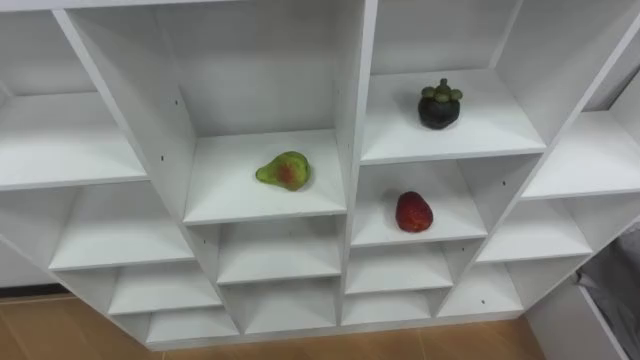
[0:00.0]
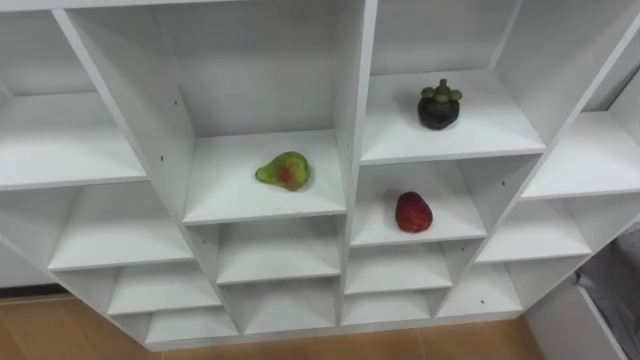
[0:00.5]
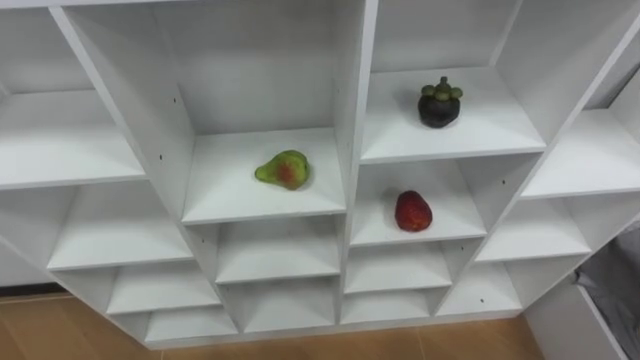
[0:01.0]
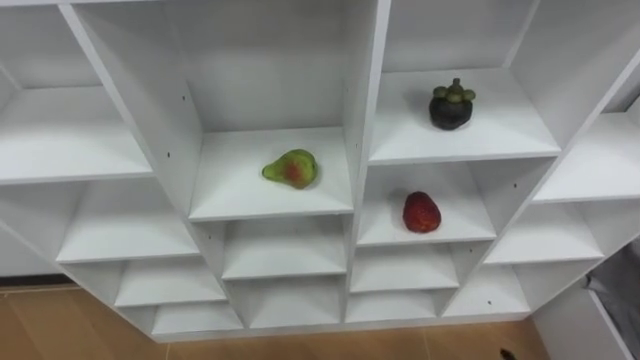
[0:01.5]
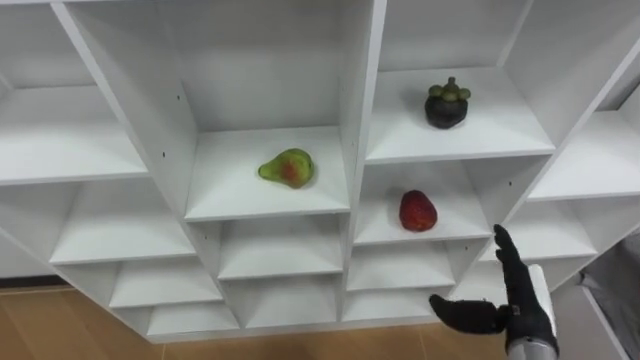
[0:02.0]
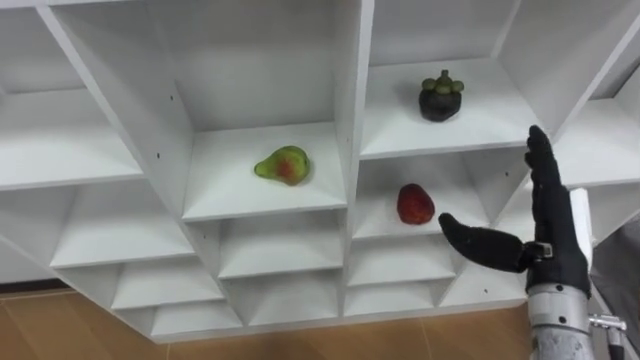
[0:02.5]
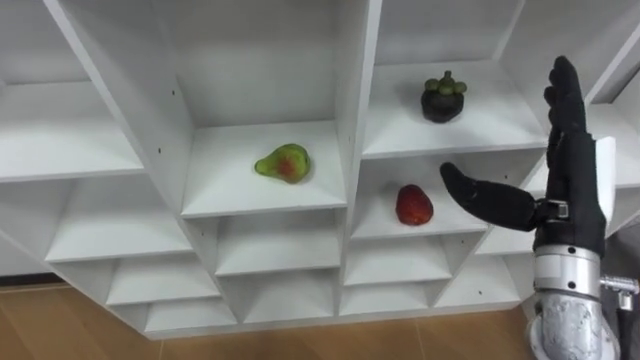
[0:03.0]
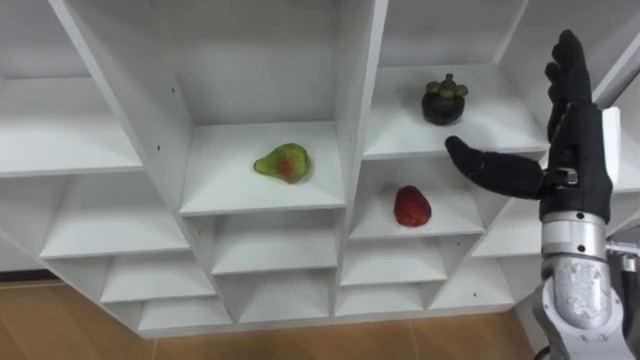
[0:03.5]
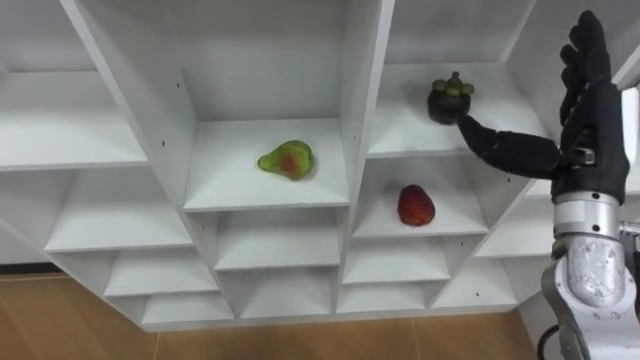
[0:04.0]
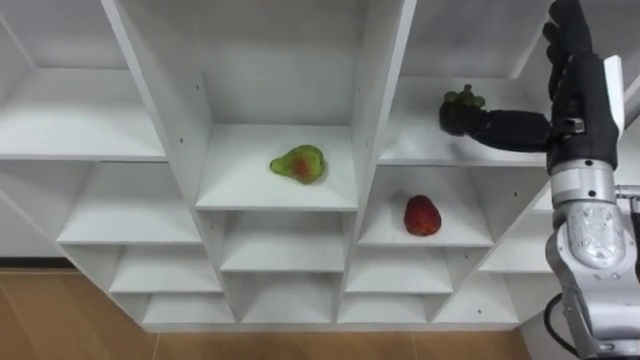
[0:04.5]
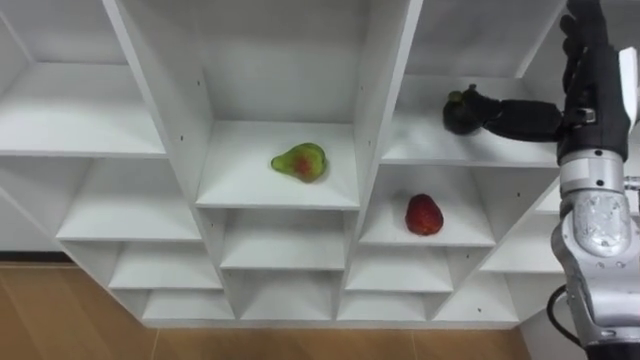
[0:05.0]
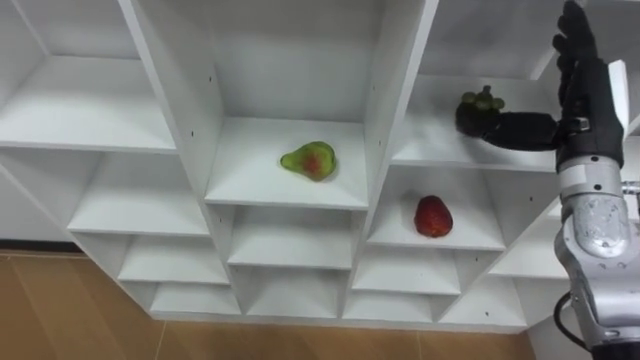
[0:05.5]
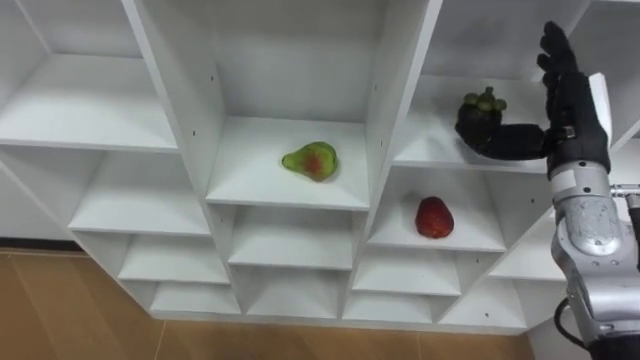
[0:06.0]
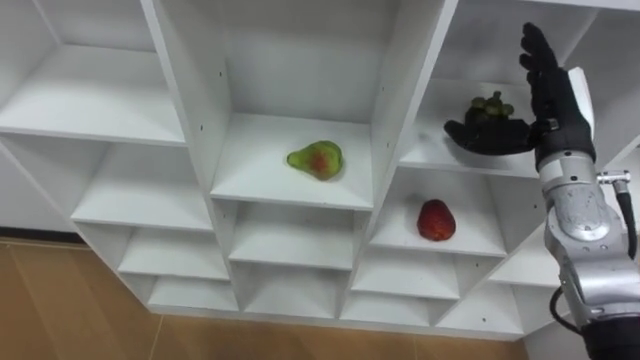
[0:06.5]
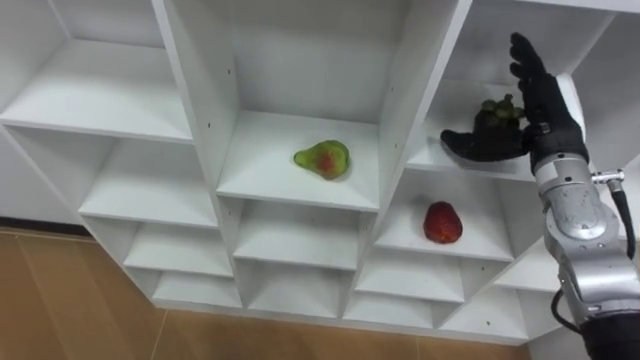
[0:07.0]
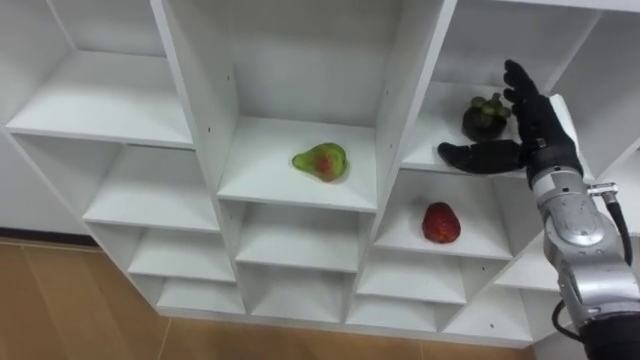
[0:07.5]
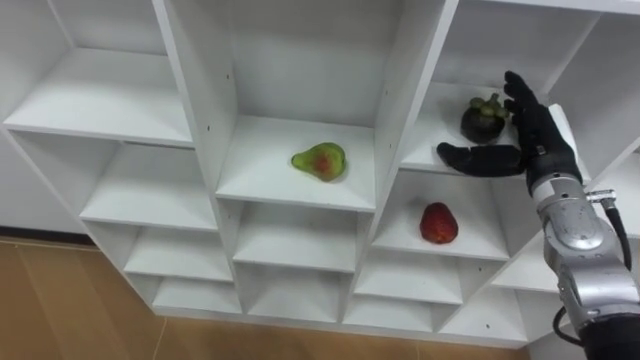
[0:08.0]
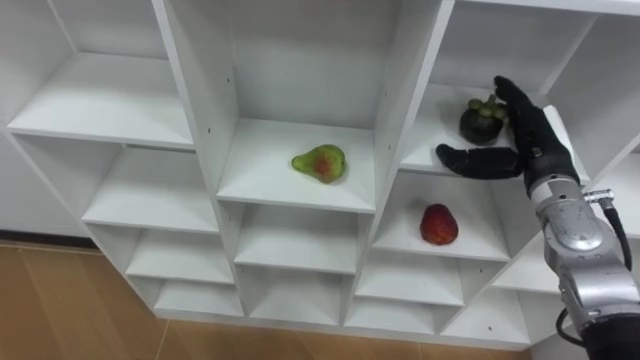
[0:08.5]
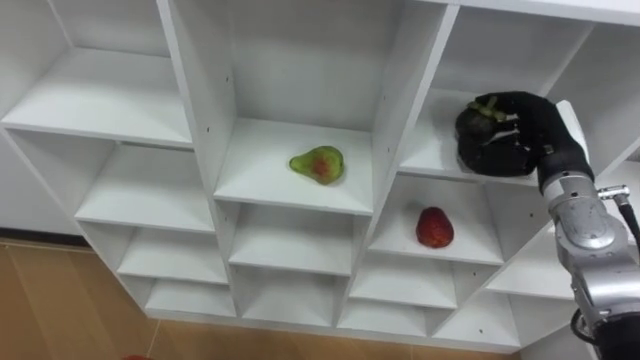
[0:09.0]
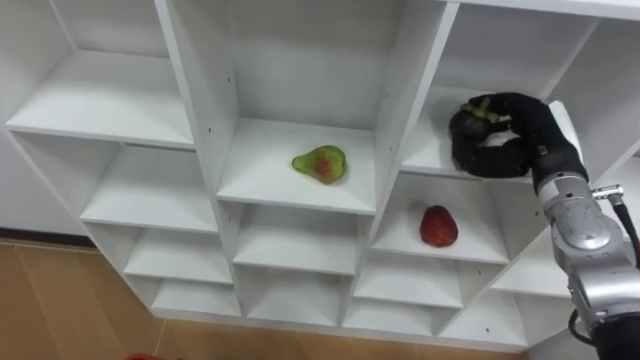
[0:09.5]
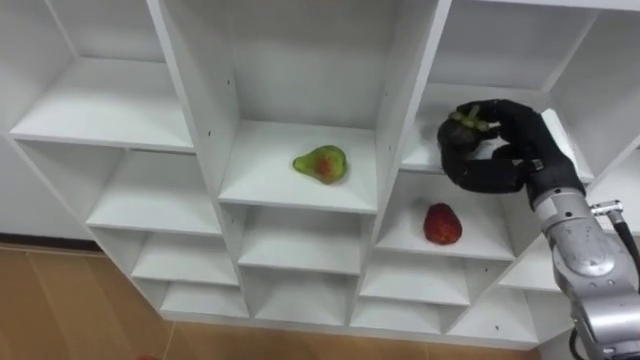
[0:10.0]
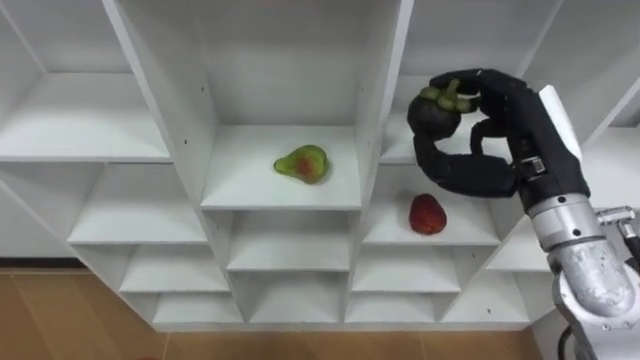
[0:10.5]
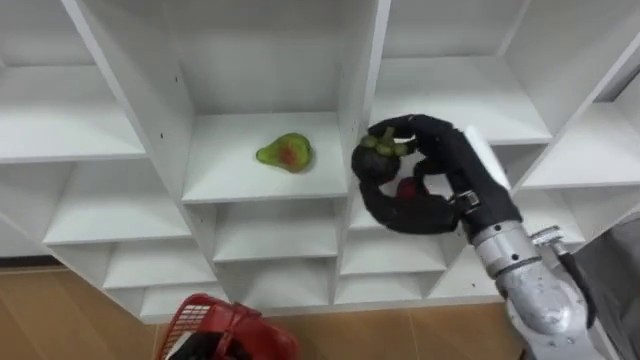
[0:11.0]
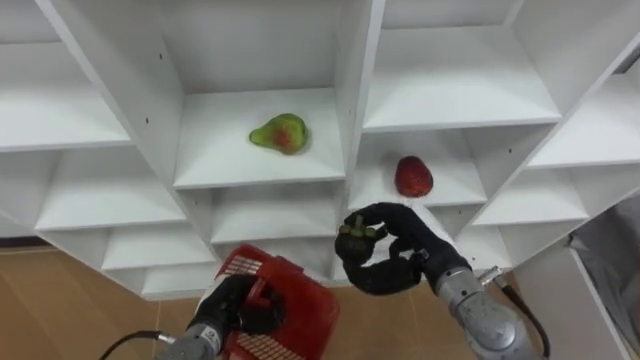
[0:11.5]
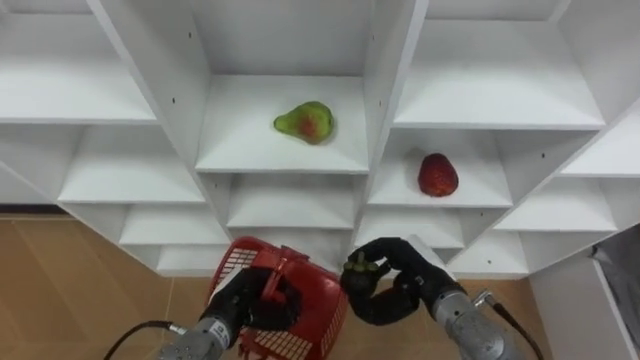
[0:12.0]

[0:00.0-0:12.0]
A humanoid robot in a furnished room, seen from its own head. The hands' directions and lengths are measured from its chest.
Task of the whole recording: Hold the basket and collect the fruits from 3 different cells of the closet into it.
0:02.0 to 0:04.0: The right hand goes approximately 20 cm upward and forward.
0:04.0 to 0:06.0: The right hand shifts by about 5 cm.
0:06.0 to 0:08.0: The right hand heads downward, covering approximately 5 cm.
0:08.0 to 0:10.0: The right hand closes its fingers.
0:10.0 to 0:12.0: The right hand travels downward, to the left and backward by approximately 20 cm.

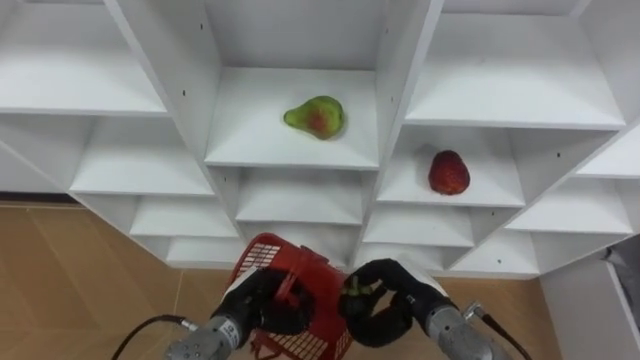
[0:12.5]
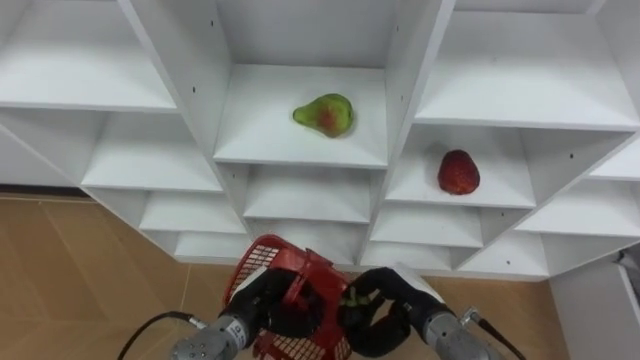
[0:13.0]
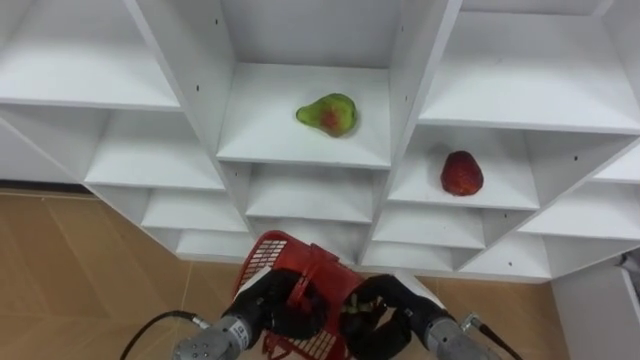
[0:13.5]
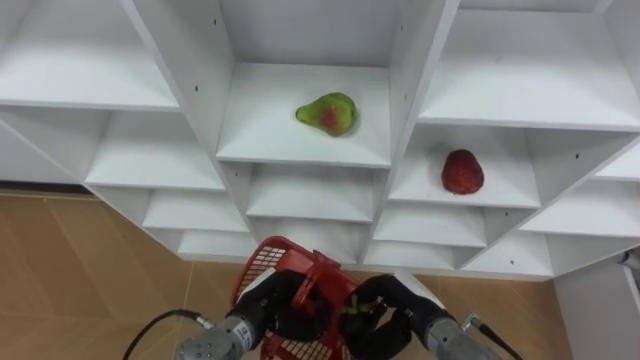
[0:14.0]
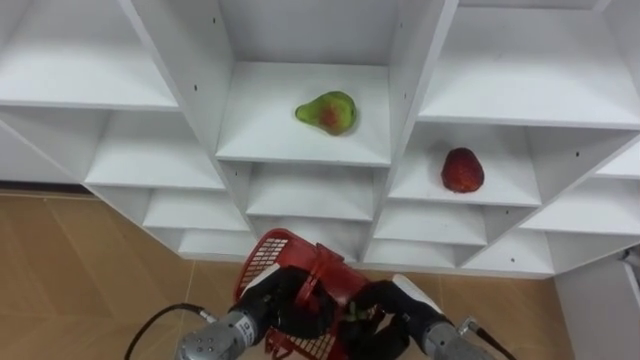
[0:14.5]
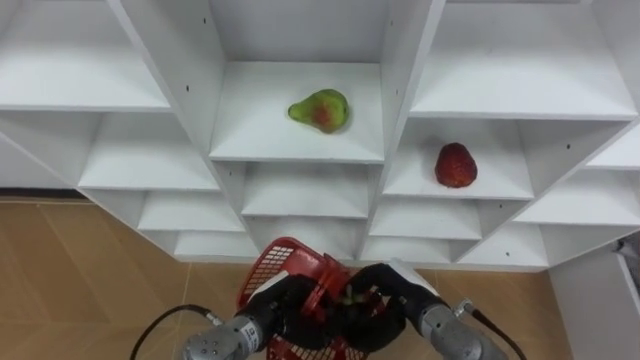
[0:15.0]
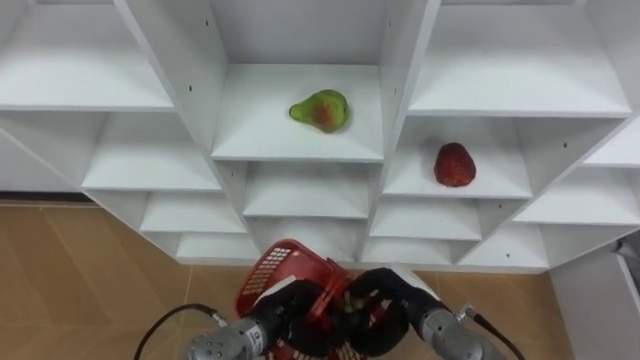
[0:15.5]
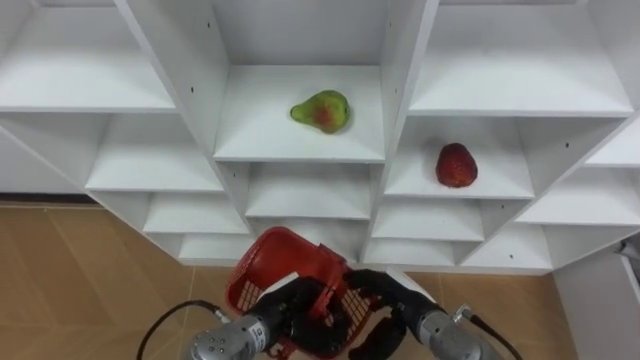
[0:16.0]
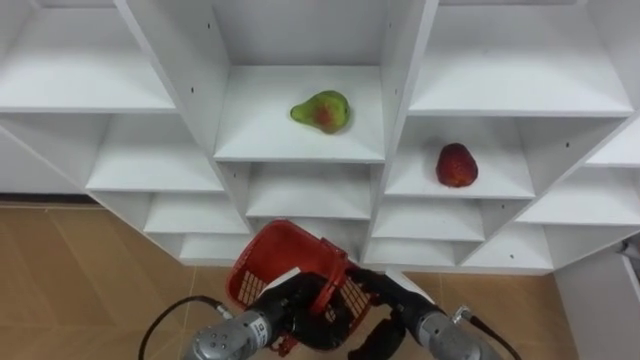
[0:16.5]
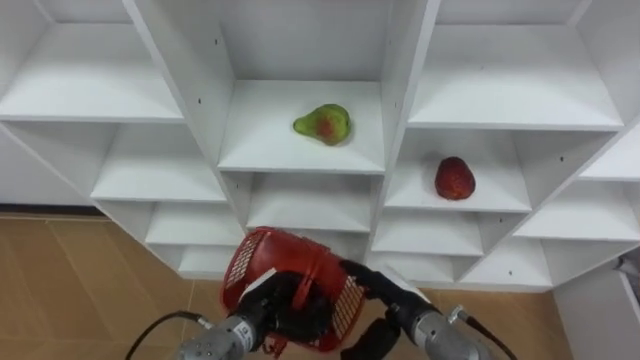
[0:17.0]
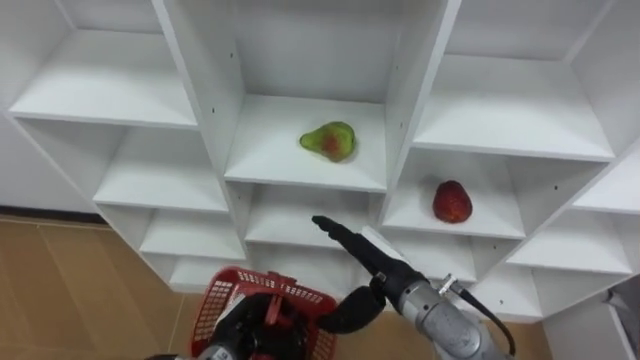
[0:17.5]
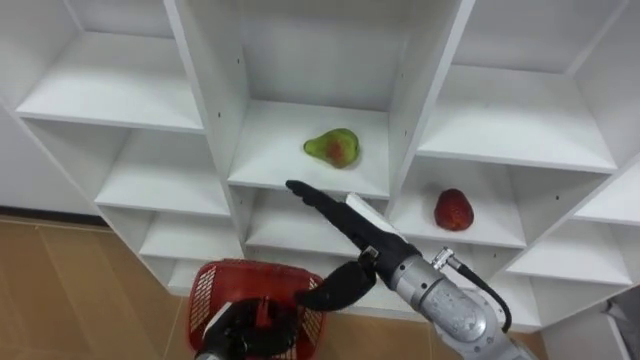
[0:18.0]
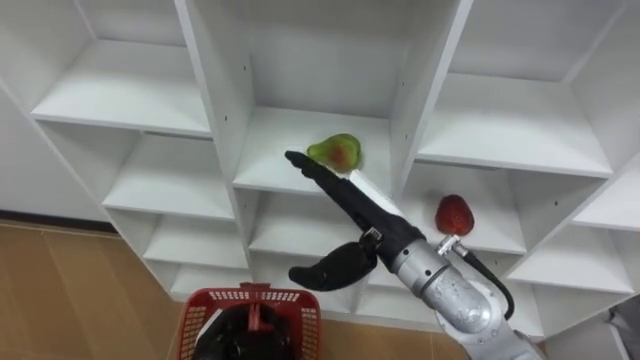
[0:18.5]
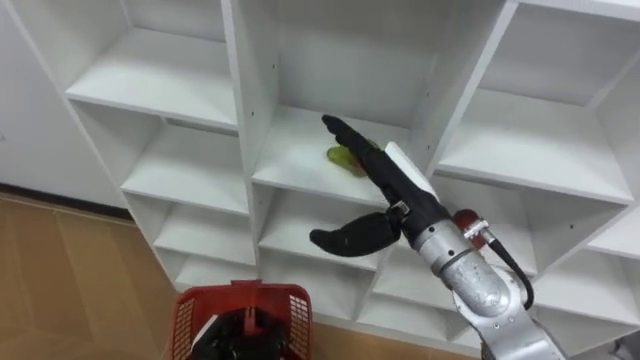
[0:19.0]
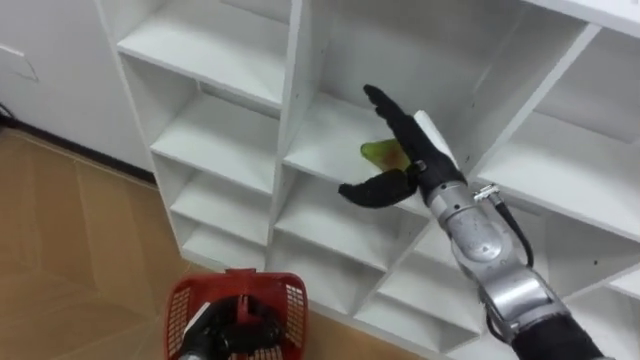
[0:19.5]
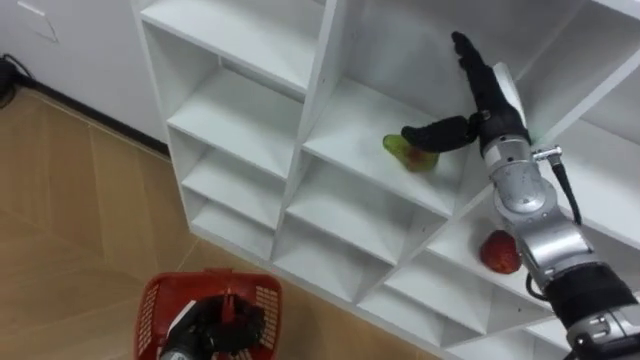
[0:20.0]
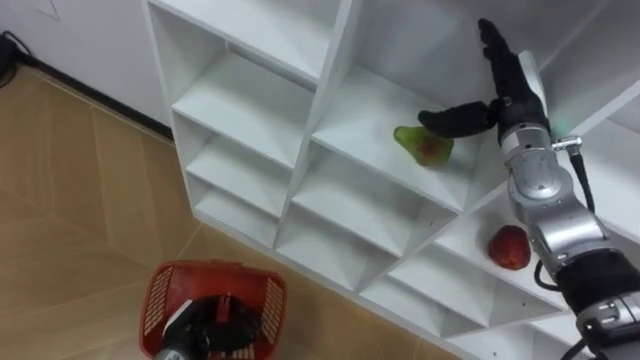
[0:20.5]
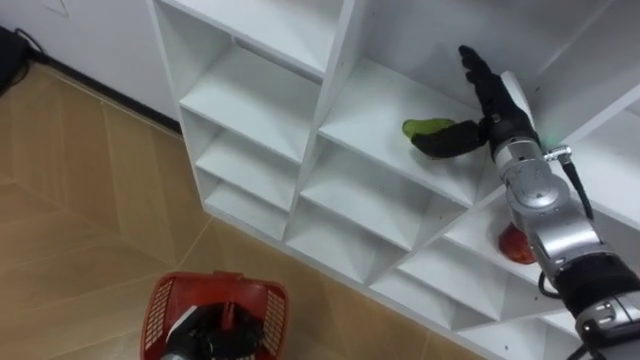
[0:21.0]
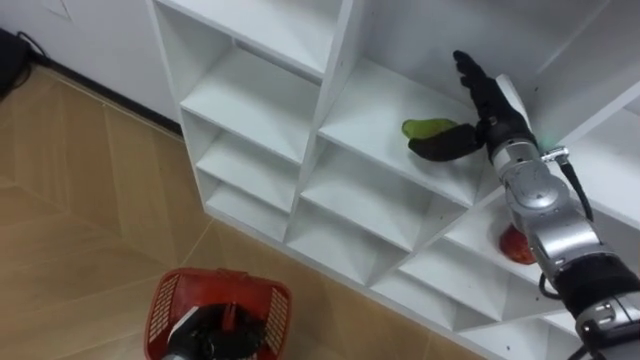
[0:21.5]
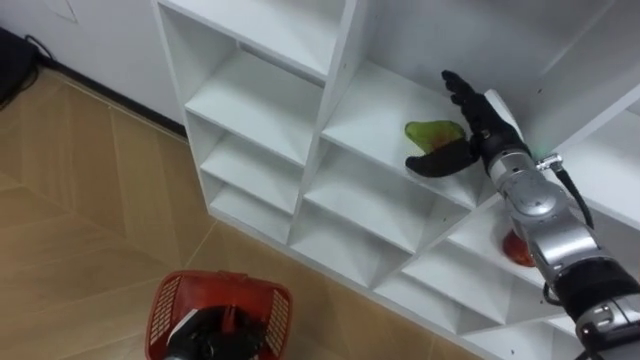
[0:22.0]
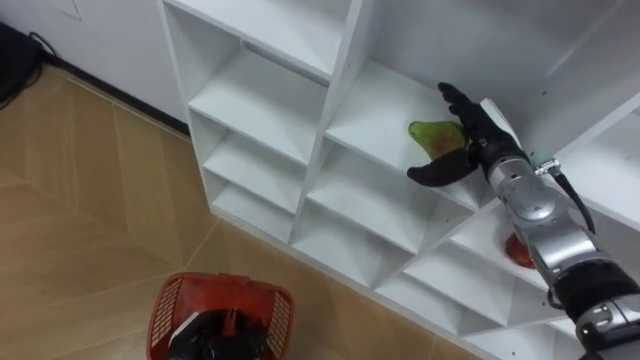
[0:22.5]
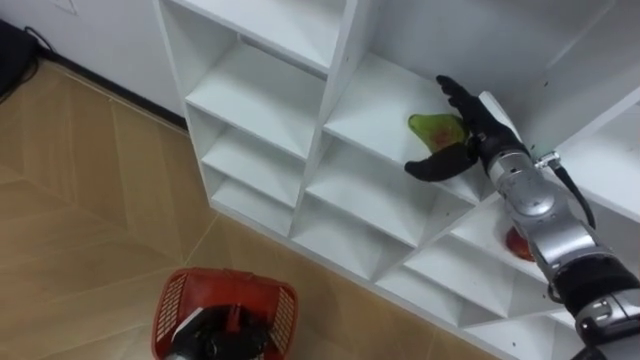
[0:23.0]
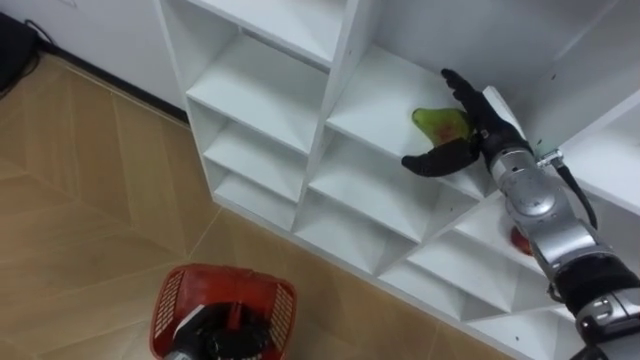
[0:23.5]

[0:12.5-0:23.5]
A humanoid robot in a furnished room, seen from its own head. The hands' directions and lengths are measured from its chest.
Task of the whole recording: Hold the basket and collect the fruits from 3 different cells of the closet into it.
0:14.5 to 0:16.0: The right hand opens its fingers.
0:16.0 to 0:18.0: The right hand travels upward by approximately 15 cm. Meanwhile the left hand shifts roughly 5 cm to the left.
0:18.0 to 0:20.0: The right hand travels to the right, forward and upward by about 20 cm.
